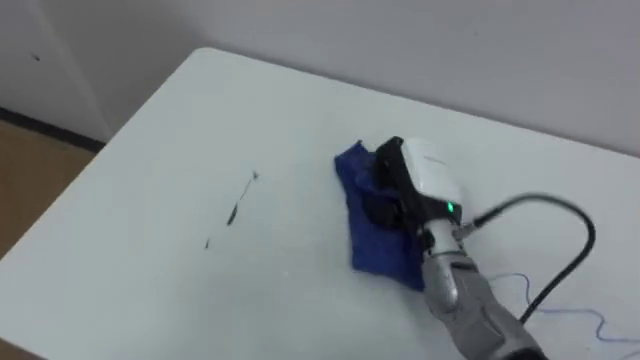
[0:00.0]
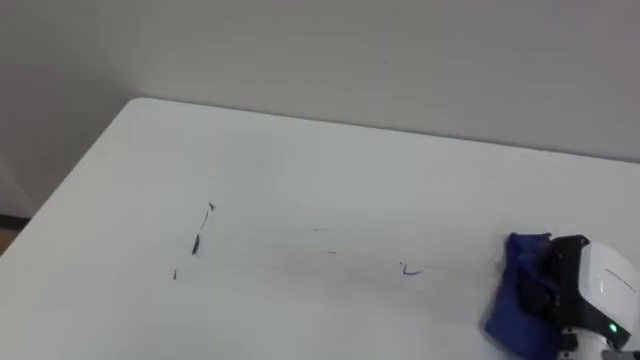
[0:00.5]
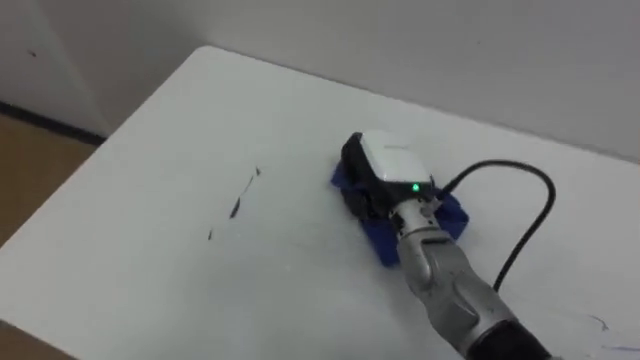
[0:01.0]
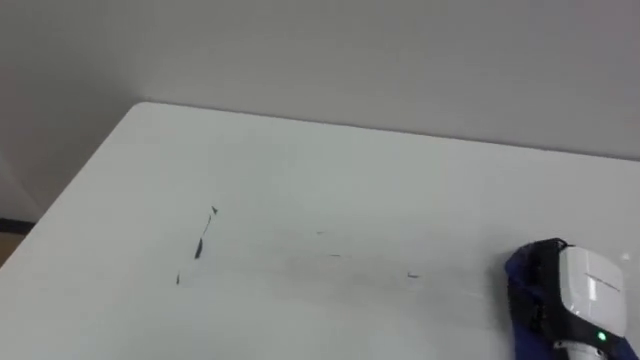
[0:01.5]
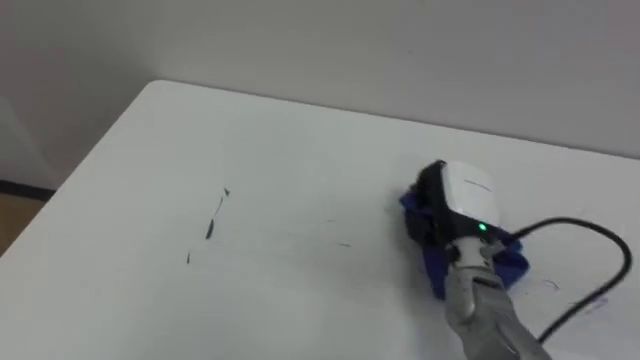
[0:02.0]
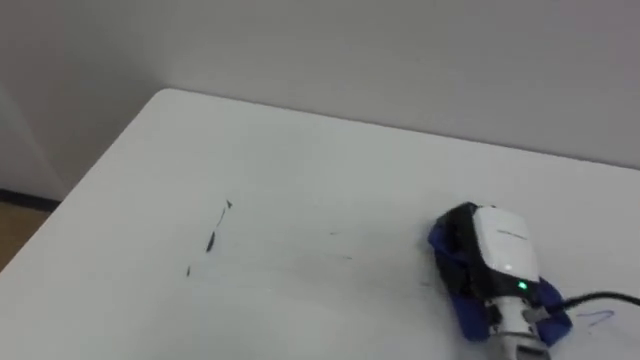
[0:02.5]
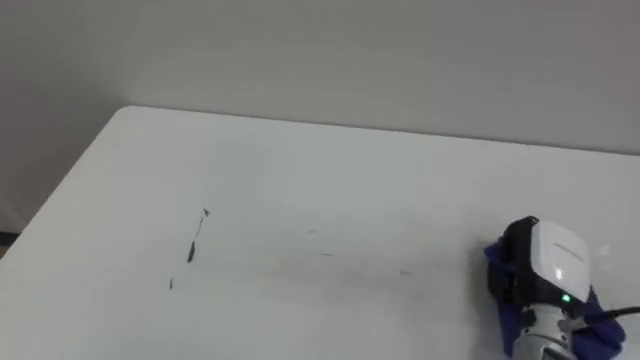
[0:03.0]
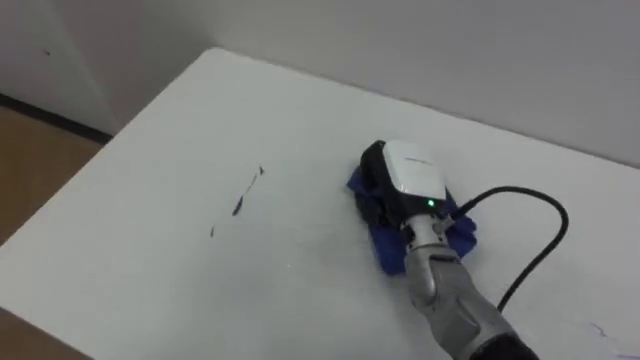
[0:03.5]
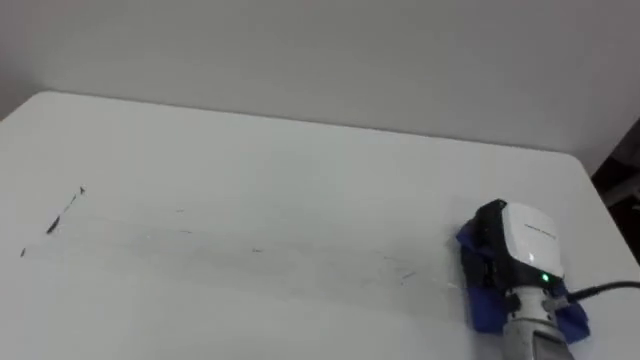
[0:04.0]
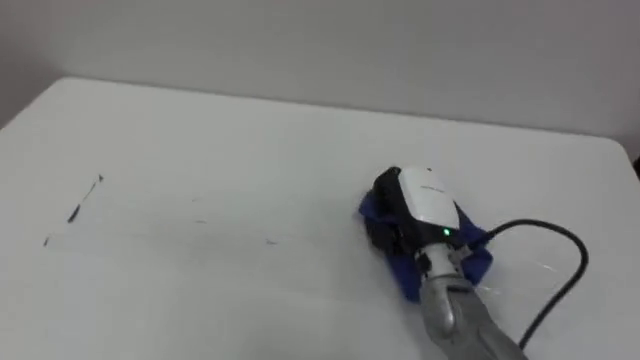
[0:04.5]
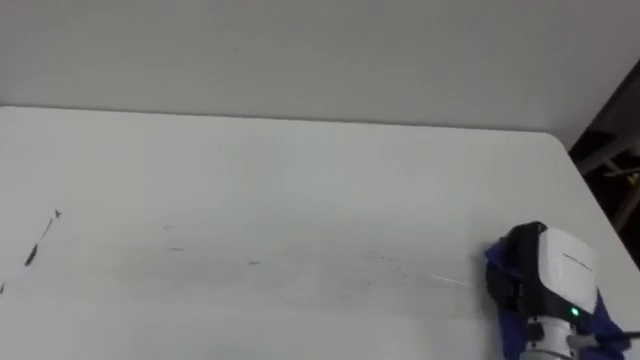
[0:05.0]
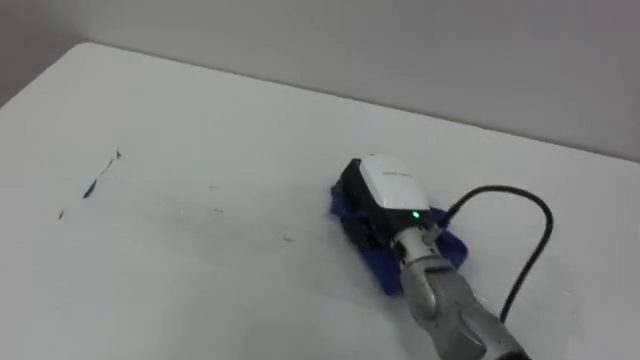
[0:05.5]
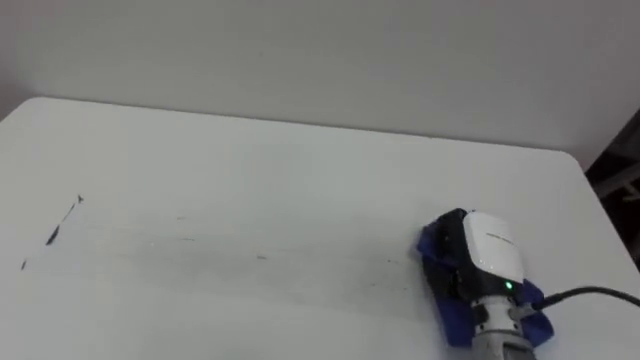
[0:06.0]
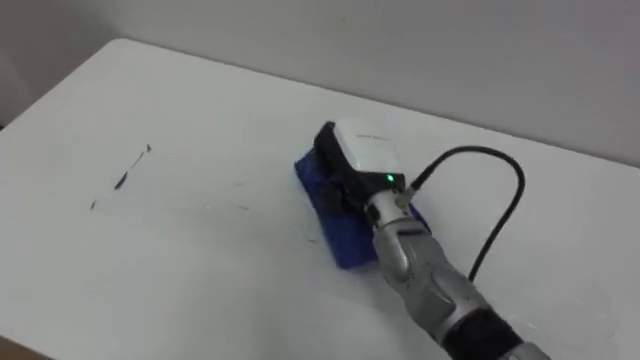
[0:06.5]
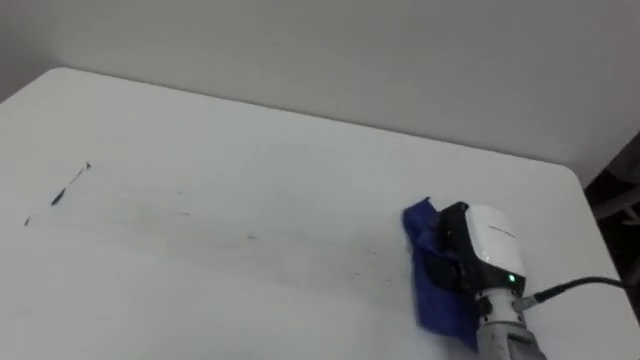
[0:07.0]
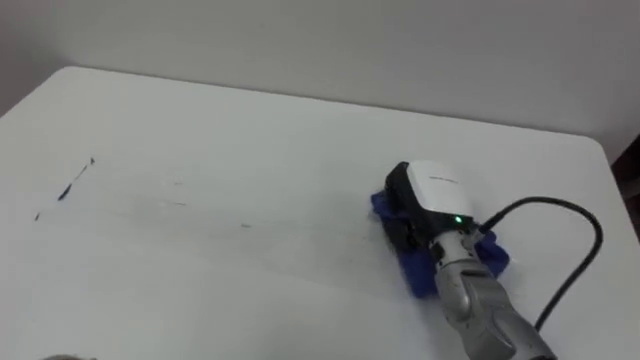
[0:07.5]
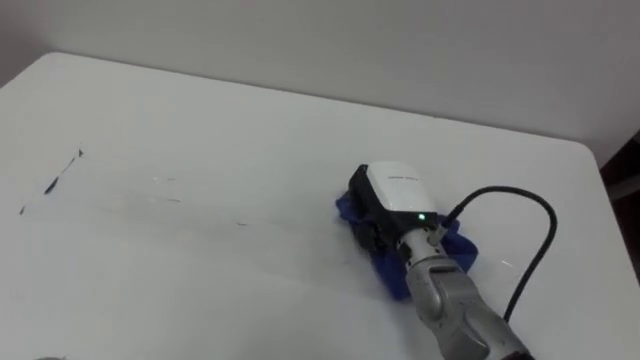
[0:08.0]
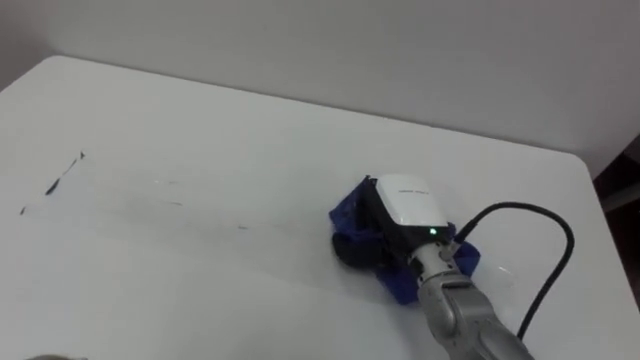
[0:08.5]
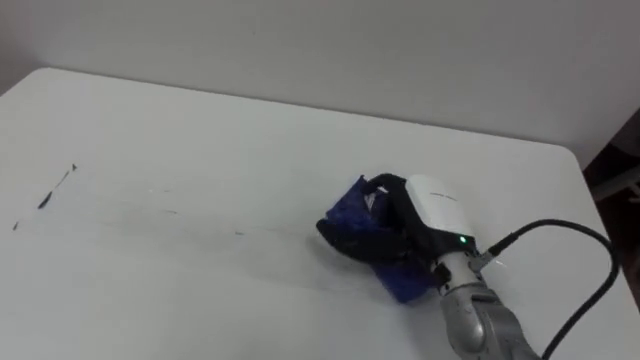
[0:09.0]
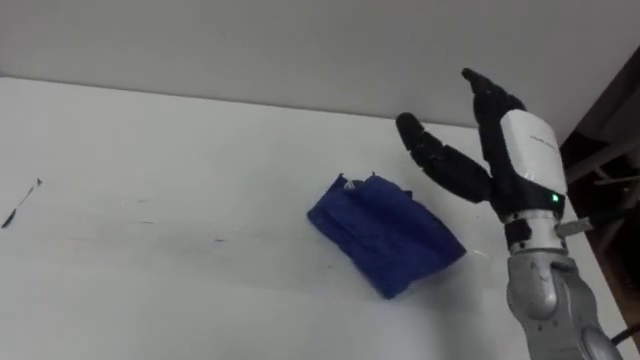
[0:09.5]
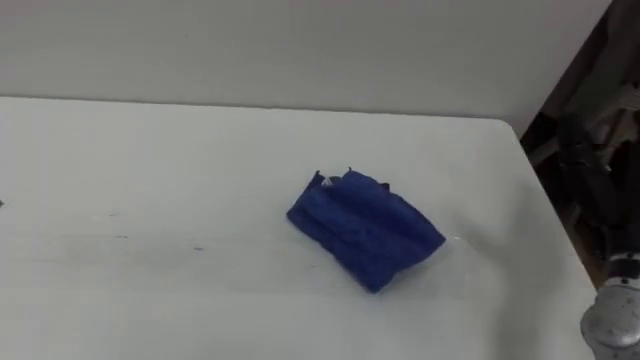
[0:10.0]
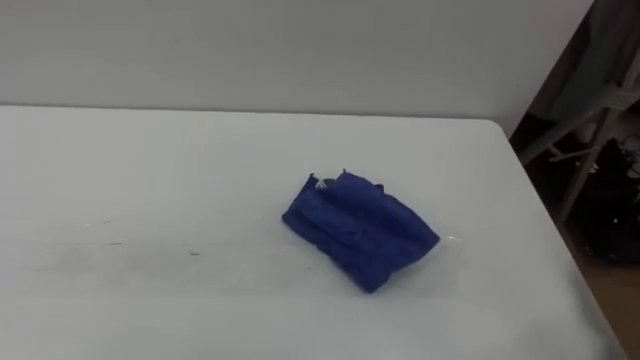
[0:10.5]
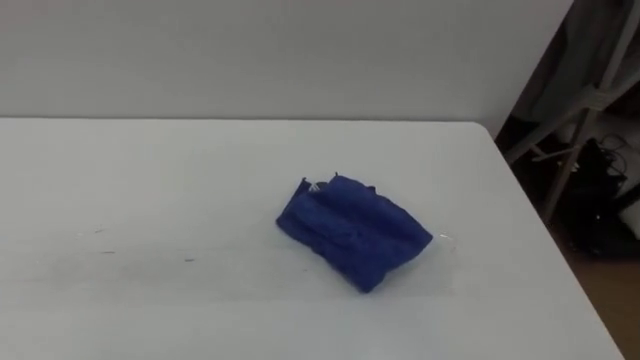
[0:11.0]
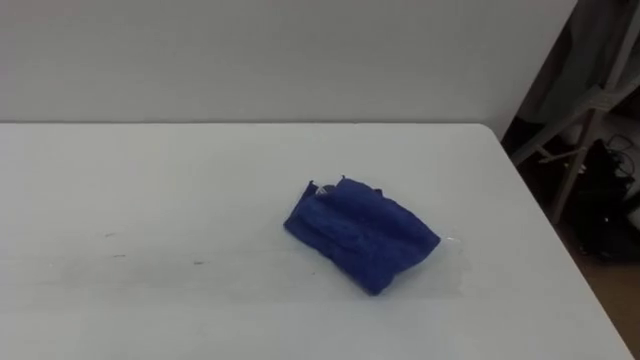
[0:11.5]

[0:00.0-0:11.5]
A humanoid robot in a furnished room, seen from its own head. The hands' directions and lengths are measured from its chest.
Task of the whole recording: Wipe the blue pen marks off the table with the rag.
0:00.0 to 0:02.0: The right hand swings left and right, roughly 25 cm each way, with 3 reversals.
0:02.0 to 0:04.0: The right hand swings left and right, some 15 cm each way, with 2 reversals.
0:04.0 to 0:06.0: The right hand swings left and right, approximately 20 cm each way, with 3 reversals.
0:06.0 to 0:07.5: The right hand swings left and right, roughly 15 cm each way, with 2 reversals.
0:07.5 to 0:09.5: The right hand is displaced upward and to the right by approximately 10 cm, and opens its fingers.

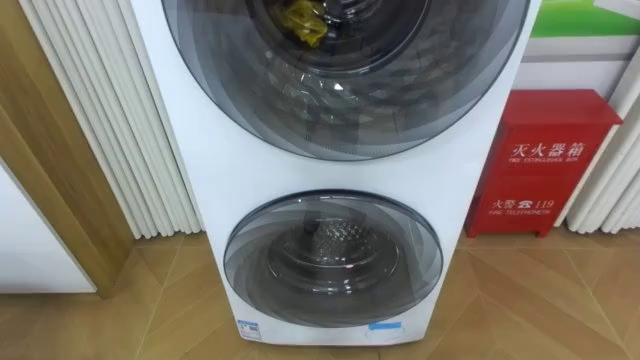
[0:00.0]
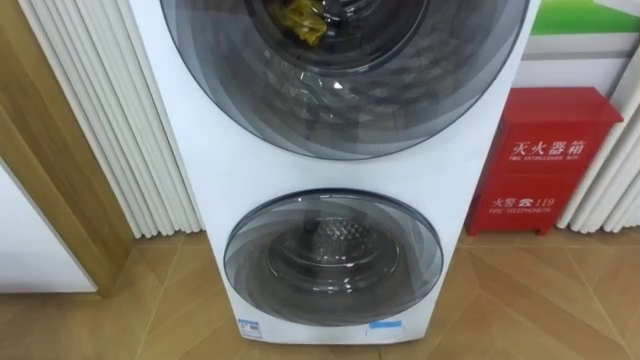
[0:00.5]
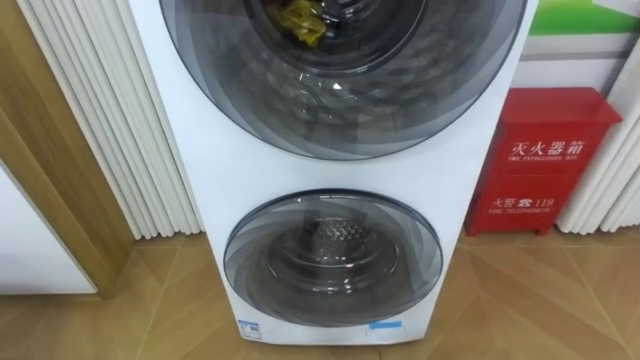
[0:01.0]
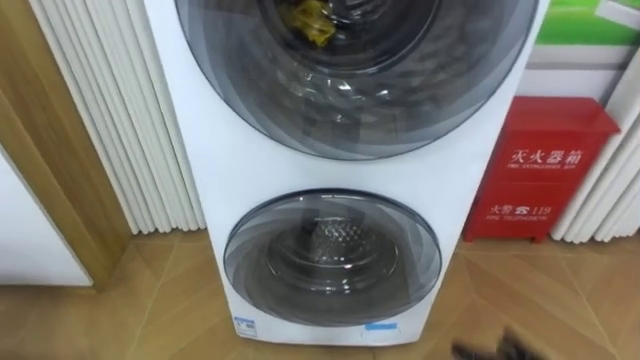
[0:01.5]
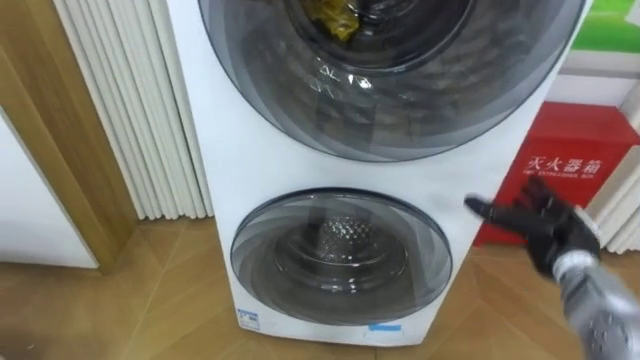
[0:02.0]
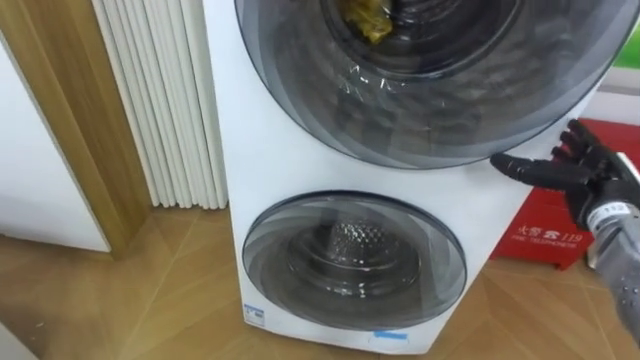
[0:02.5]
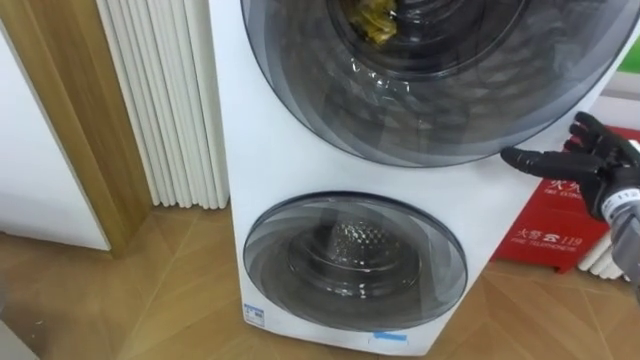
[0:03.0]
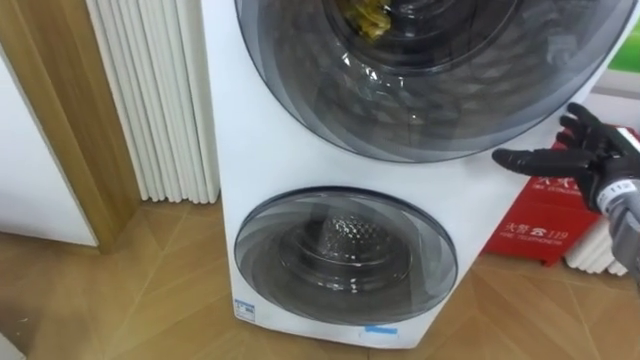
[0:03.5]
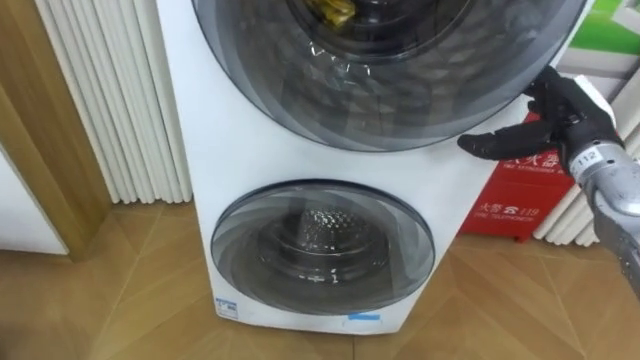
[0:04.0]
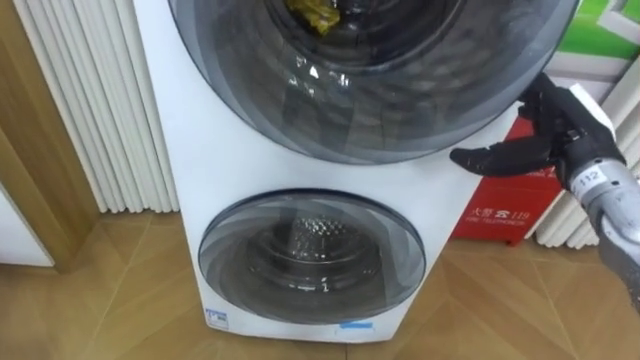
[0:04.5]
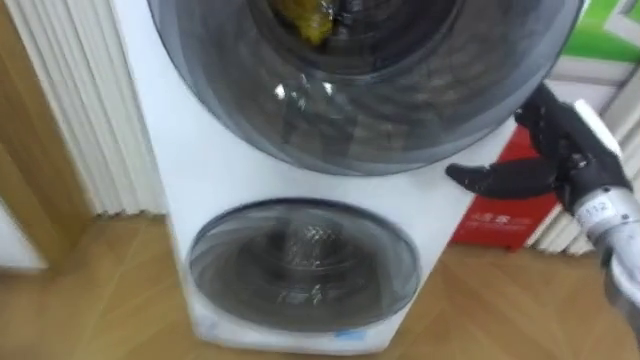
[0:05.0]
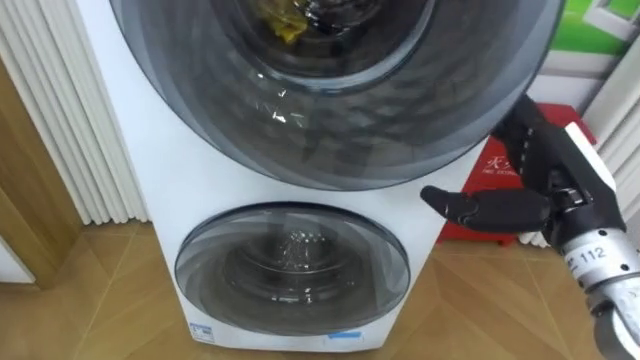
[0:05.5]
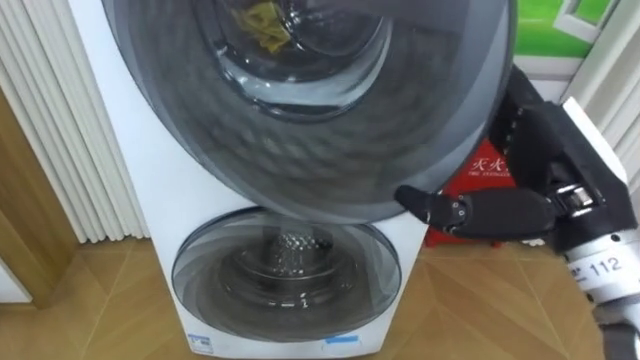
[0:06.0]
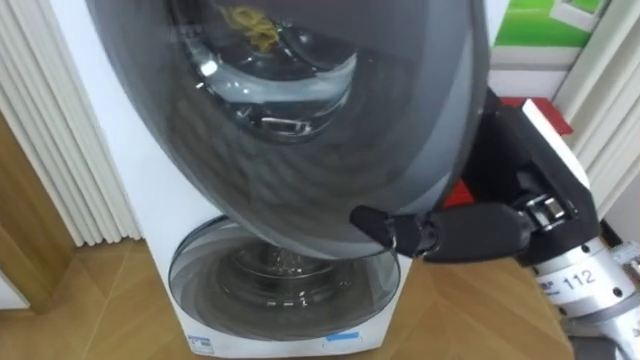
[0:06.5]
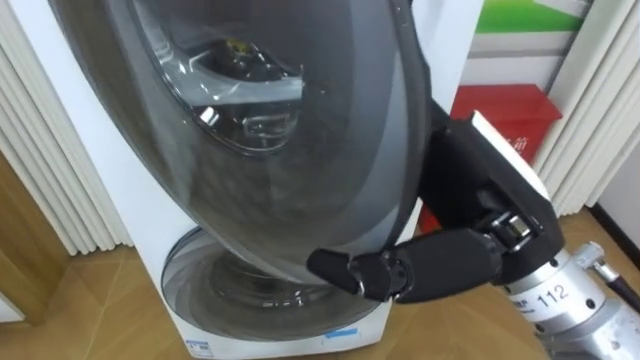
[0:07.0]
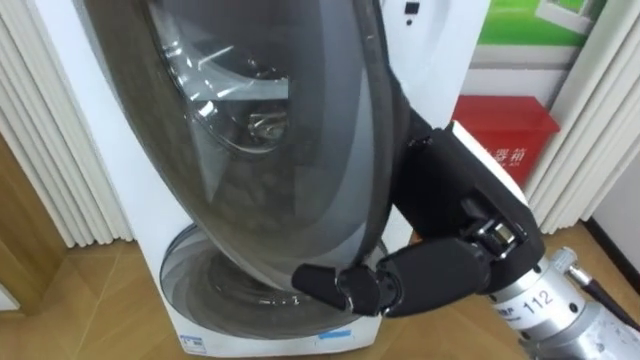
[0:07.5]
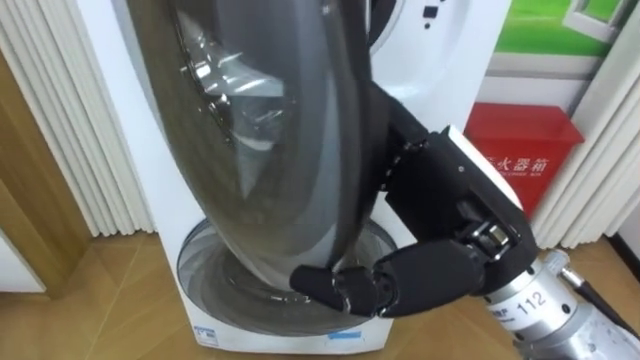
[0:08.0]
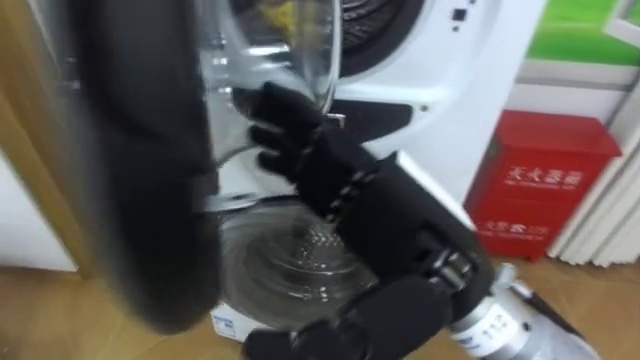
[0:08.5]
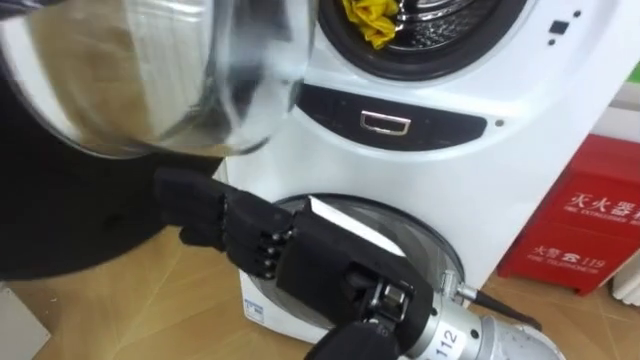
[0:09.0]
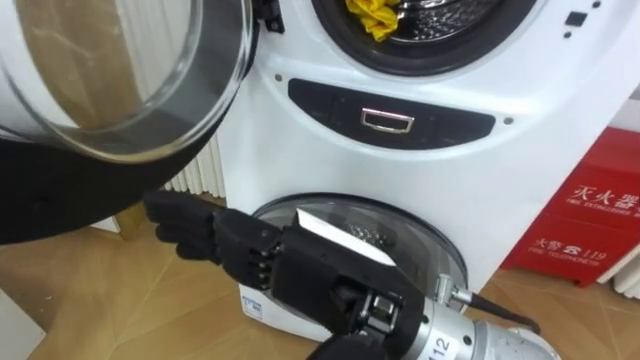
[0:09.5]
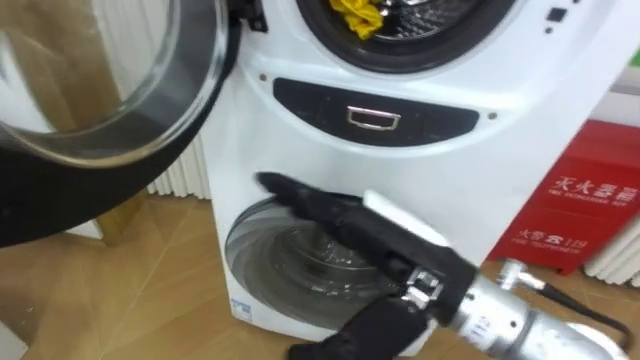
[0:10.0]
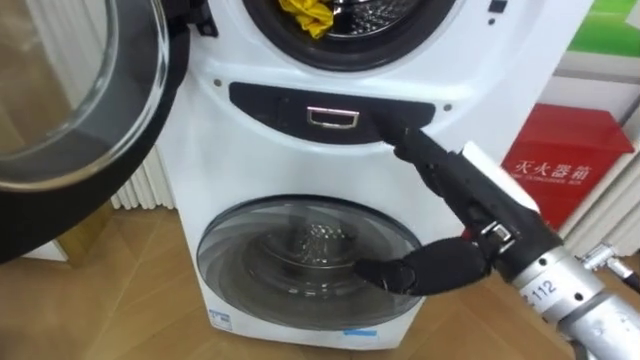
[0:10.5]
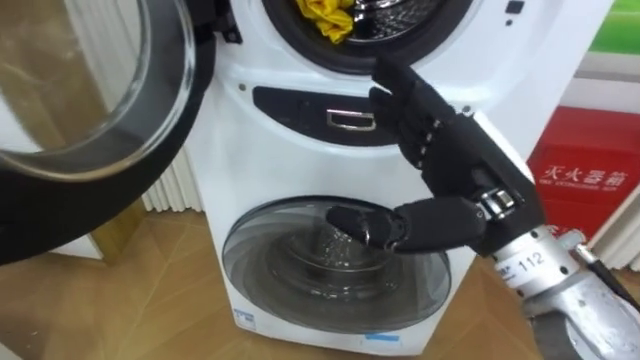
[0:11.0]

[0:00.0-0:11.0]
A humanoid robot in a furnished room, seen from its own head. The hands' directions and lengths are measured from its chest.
Task of the whole recording: Open the washing machine door, take out the yellow clothes, place them in the box on the right, and close the washing machine door.
0:02.0 to 0:03.5: The right hand is displaced upward by approximately 10 cm.
0:03.5 to 0:05.5: The right hand moves to the left, backward and upward, some 15 cm.
0:05.5 to 0:07.5: The right hand goes approximately 15 cm to the left, backward and upward.
0:07.5 to 0:09.0: The right hand shifts roughly 10 cm to the left.
0:09.0 to 0:11.0: The right hand goes some 15 cm to the right and forward.
